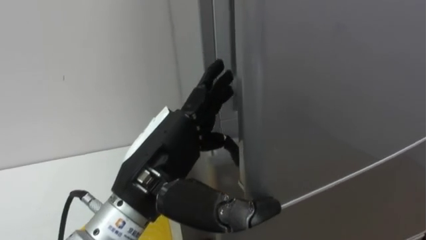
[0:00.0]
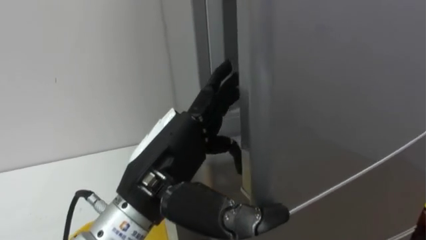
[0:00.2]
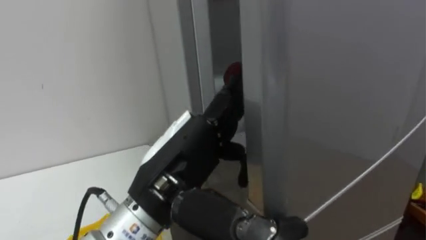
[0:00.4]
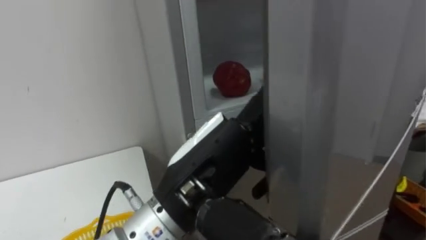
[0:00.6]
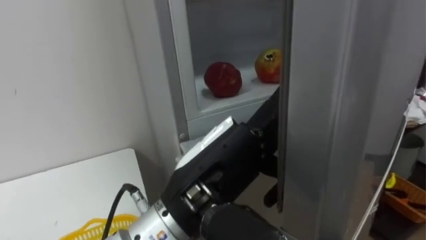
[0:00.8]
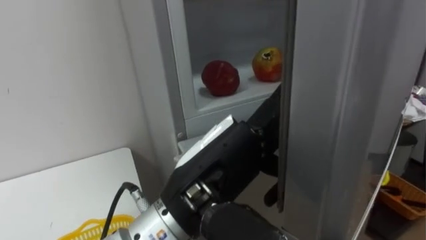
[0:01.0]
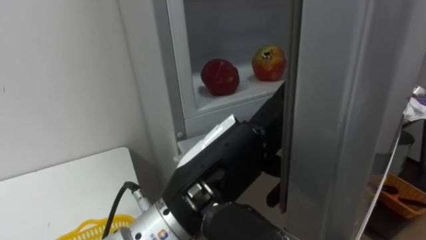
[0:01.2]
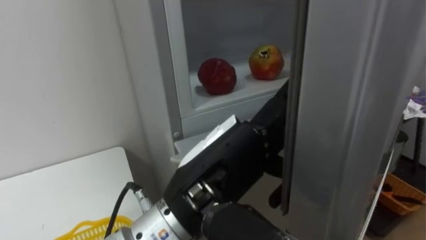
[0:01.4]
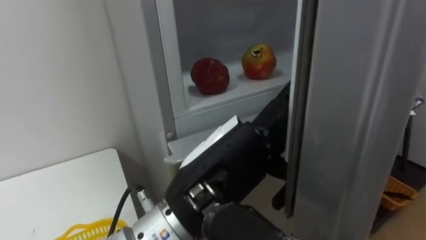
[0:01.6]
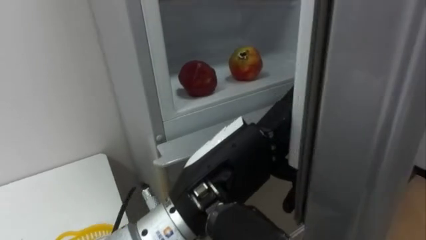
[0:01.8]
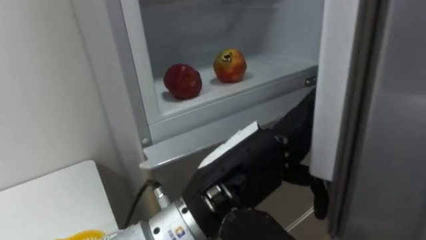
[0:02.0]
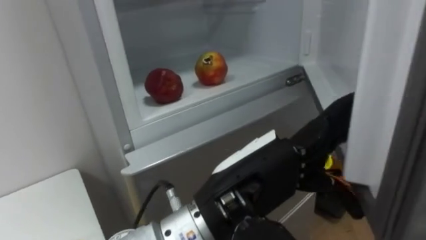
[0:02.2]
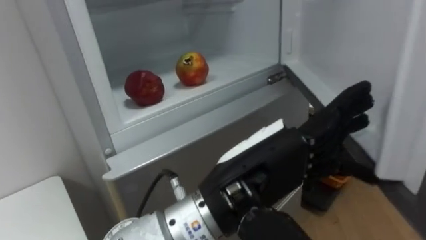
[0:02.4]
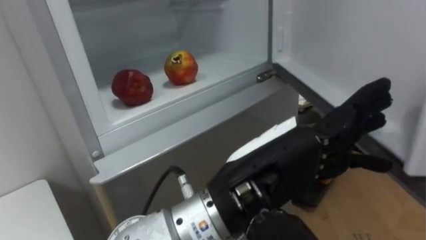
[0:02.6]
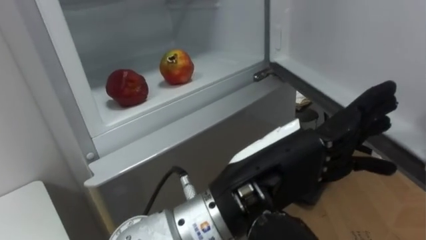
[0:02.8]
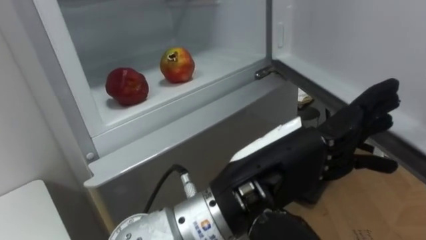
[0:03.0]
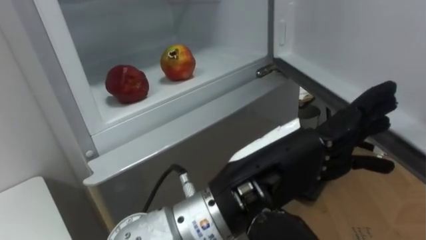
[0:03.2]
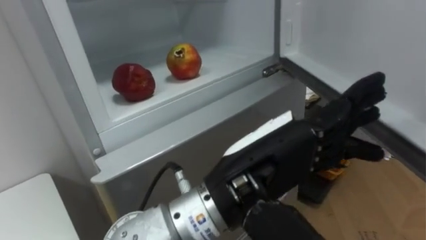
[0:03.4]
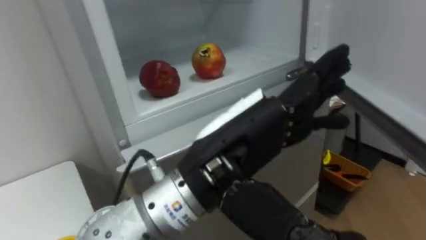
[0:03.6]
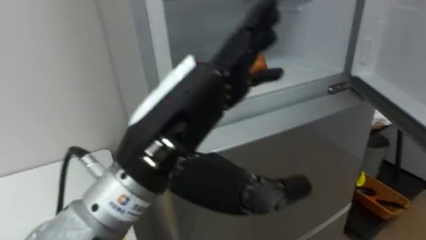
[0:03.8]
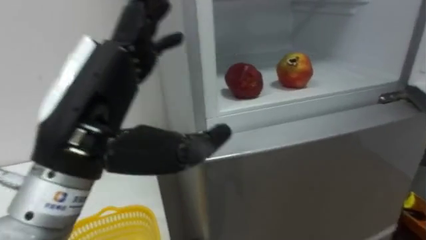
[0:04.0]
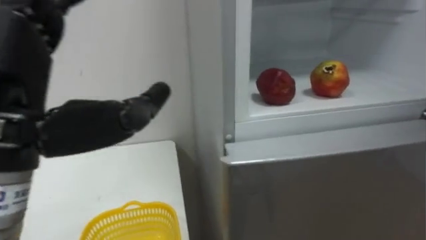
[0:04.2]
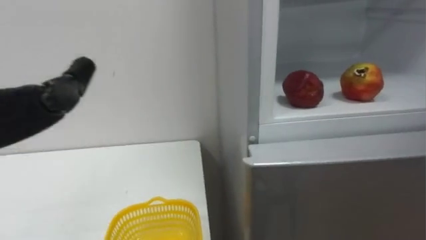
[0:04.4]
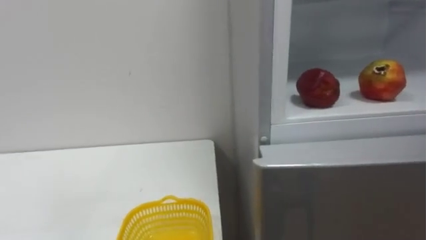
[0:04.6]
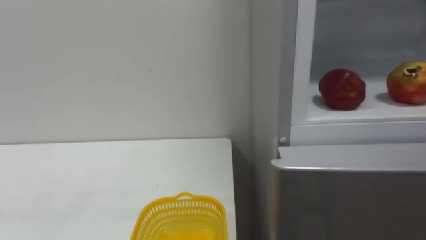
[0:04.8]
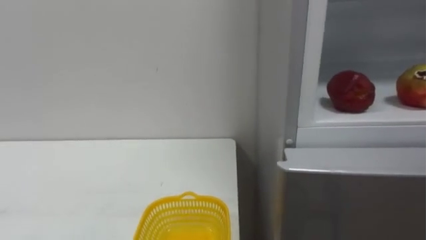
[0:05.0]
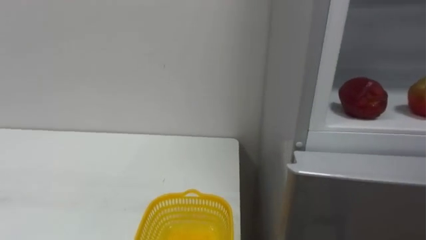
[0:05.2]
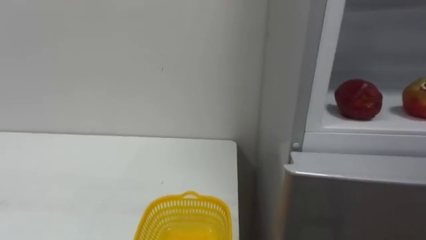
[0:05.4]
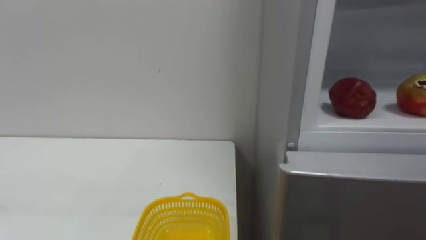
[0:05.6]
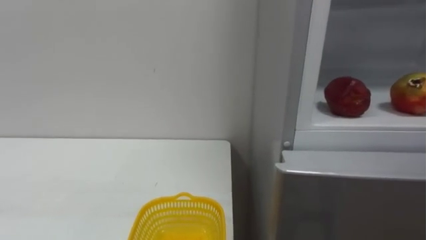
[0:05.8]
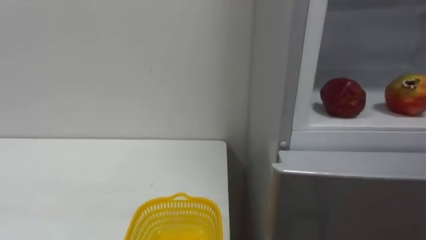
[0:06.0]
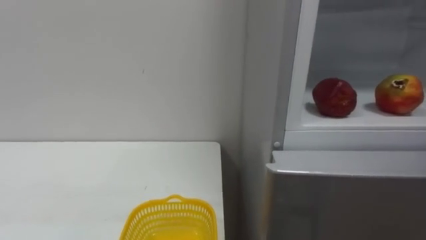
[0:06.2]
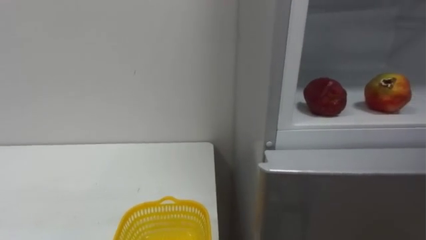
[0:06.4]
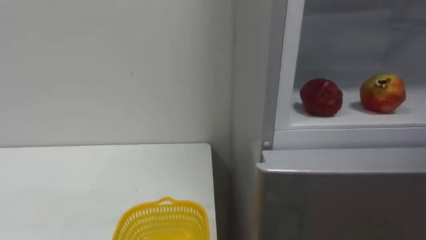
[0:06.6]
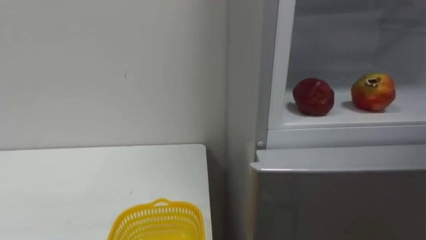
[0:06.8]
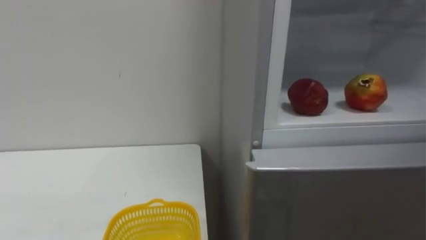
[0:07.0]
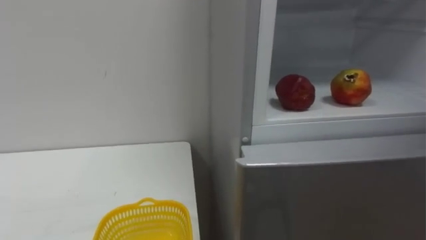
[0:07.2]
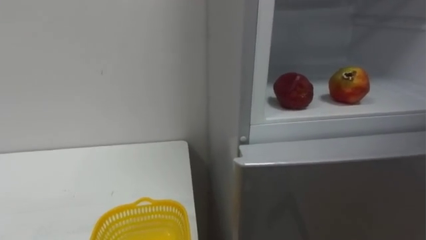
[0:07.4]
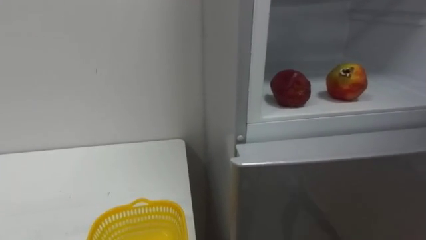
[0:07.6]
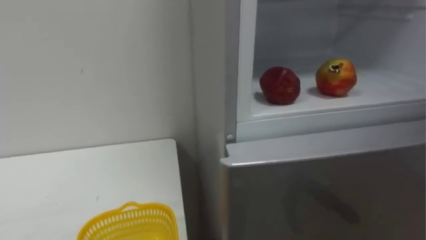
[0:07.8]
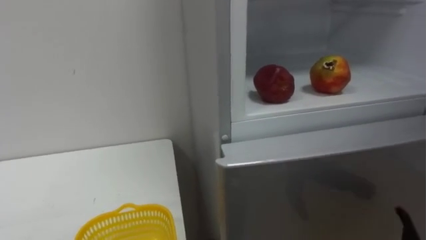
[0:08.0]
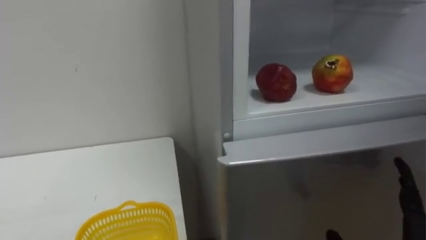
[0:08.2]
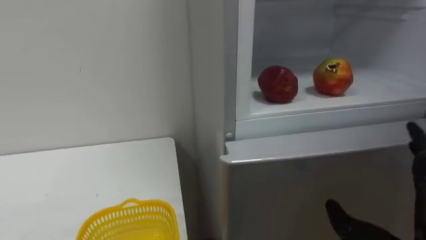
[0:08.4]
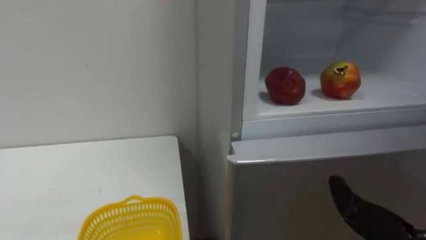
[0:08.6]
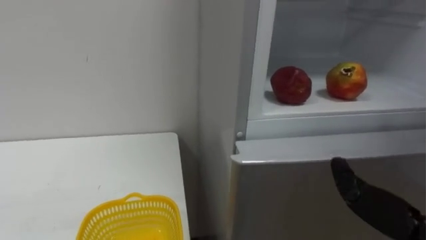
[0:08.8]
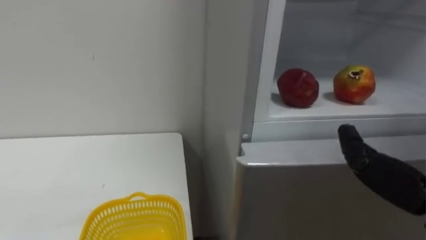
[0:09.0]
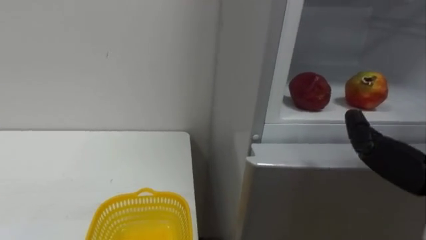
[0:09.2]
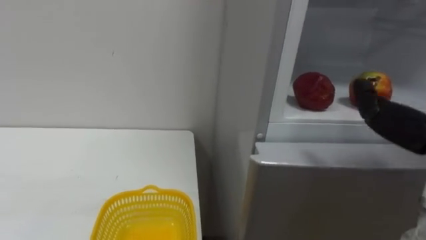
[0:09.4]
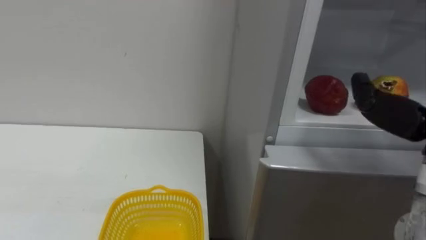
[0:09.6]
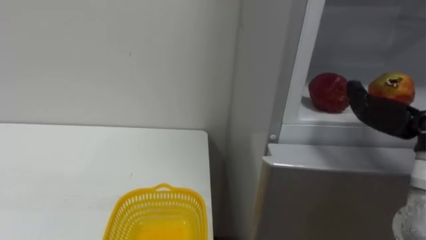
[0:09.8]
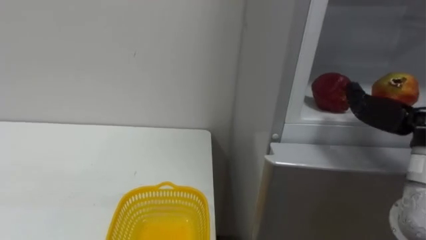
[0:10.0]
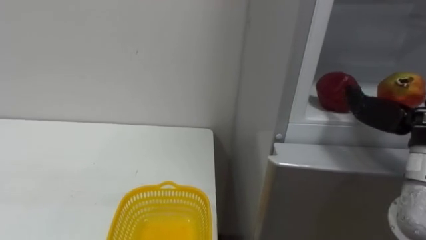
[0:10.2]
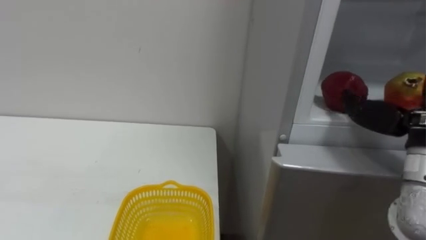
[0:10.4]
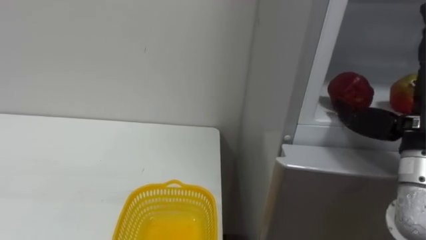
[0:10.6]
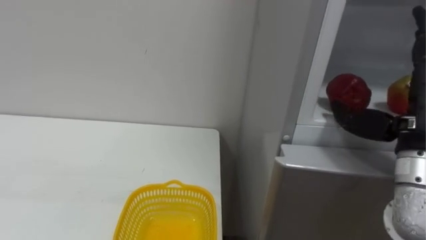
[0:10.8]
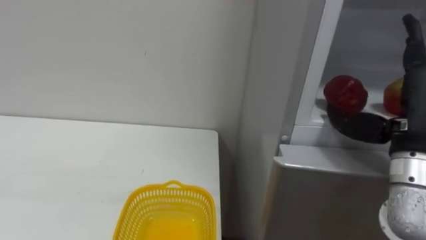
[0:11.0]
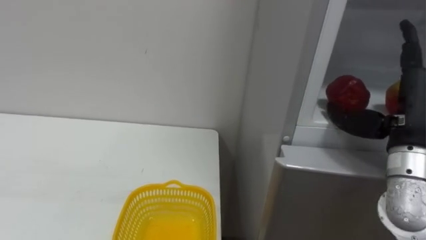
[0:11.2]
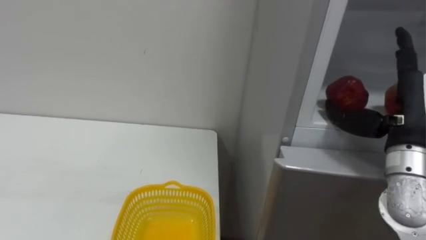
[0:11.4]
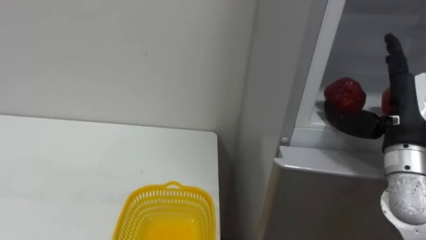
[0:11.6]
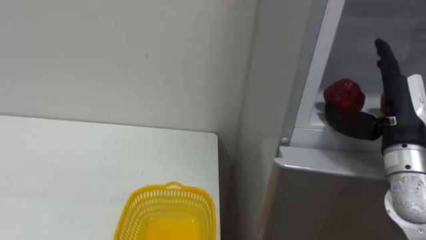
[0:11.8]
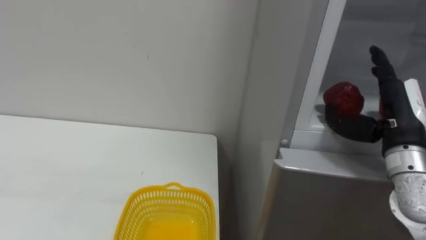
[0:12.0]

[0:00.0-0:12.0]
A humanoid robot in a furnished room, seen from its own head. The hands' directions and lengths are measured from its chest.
Task of the whole recording: Open the refrigerator door, take out the apple and the pomegranate, place them in the fruit basket on the left, and close the refrigerator door.
0:00.0 to 0:01.6: The left hand is displaced to the right by about 5 cm.

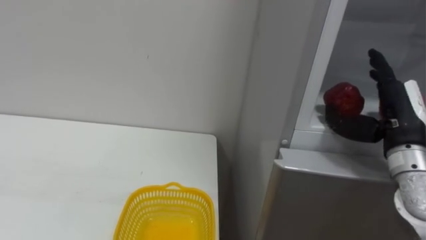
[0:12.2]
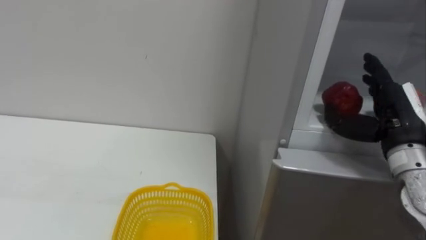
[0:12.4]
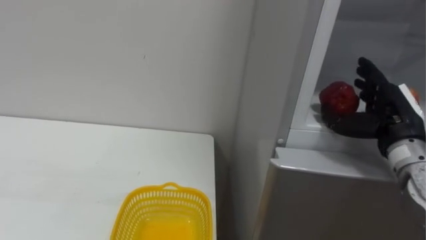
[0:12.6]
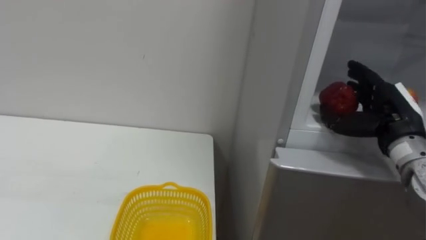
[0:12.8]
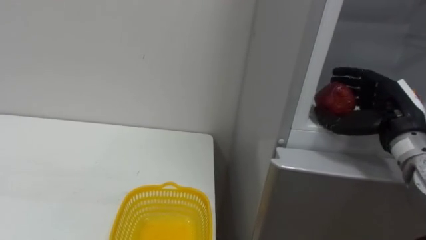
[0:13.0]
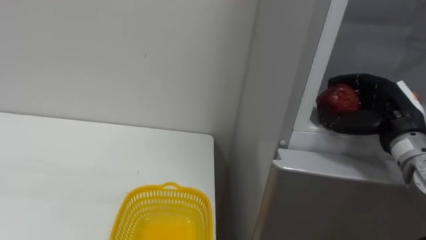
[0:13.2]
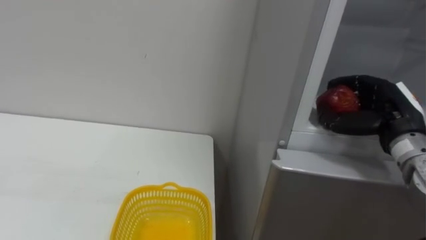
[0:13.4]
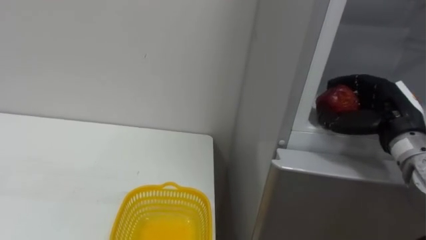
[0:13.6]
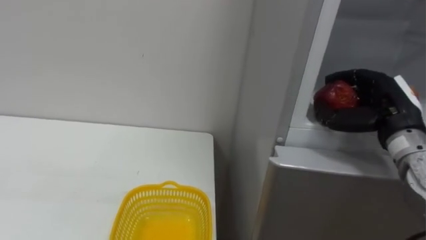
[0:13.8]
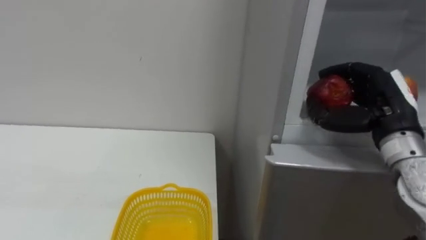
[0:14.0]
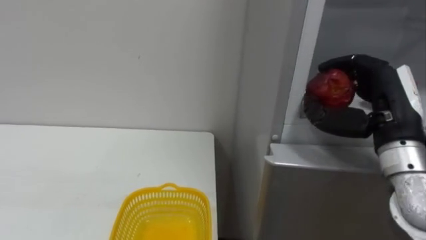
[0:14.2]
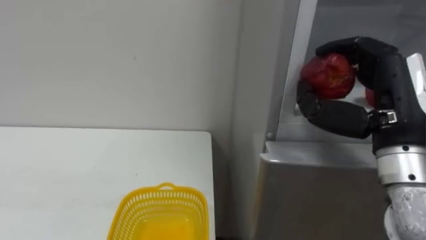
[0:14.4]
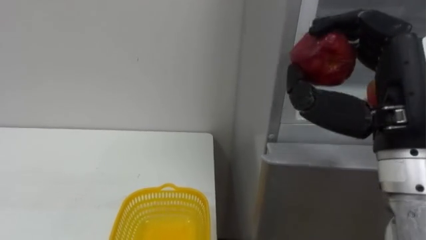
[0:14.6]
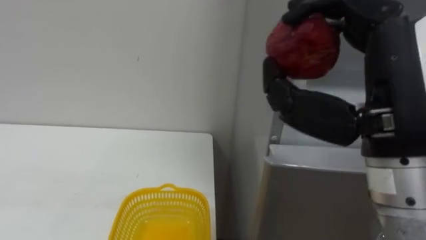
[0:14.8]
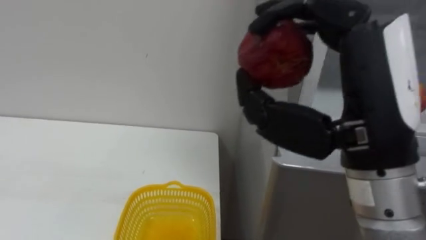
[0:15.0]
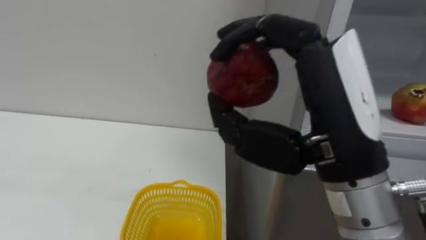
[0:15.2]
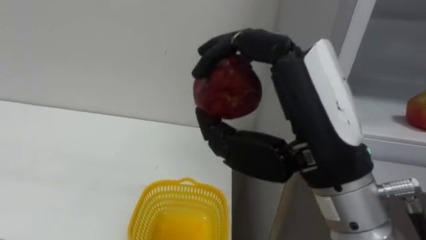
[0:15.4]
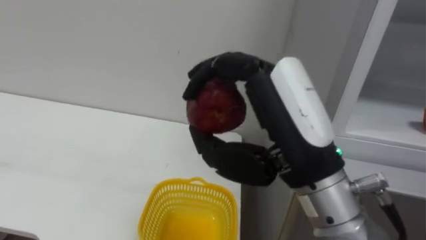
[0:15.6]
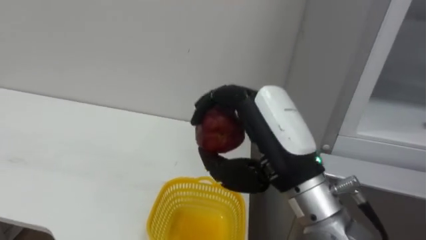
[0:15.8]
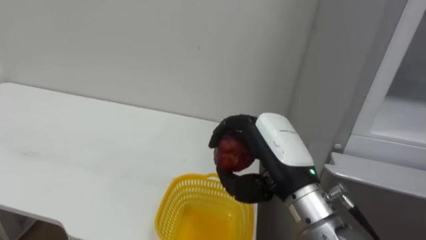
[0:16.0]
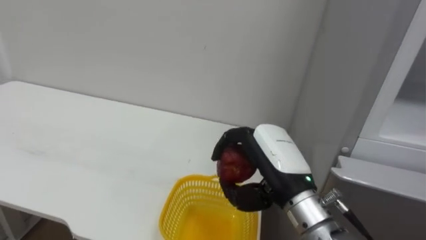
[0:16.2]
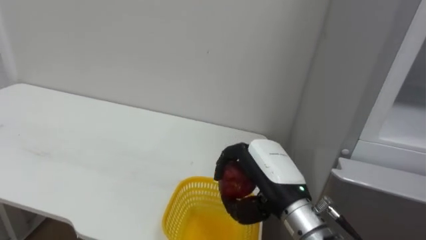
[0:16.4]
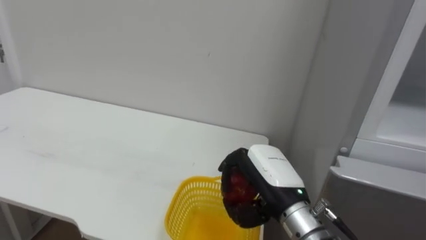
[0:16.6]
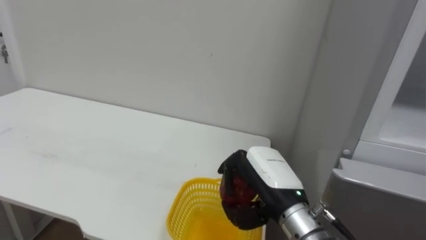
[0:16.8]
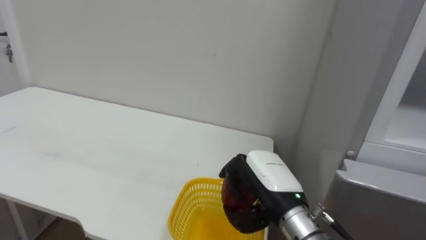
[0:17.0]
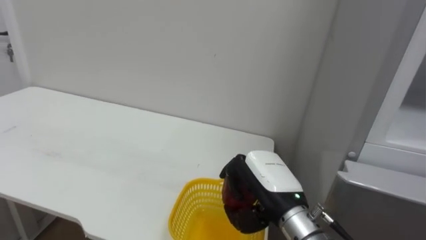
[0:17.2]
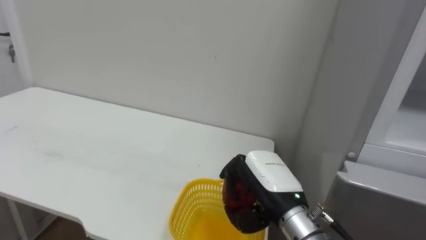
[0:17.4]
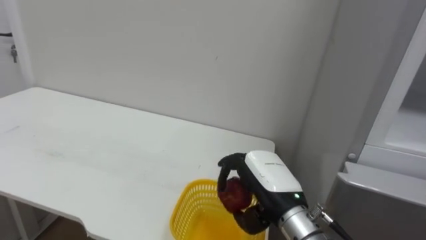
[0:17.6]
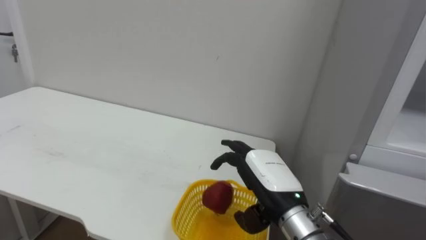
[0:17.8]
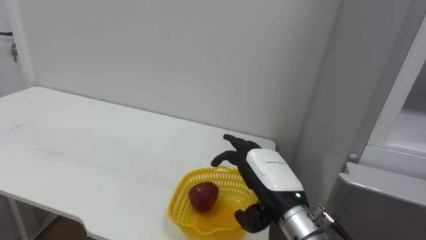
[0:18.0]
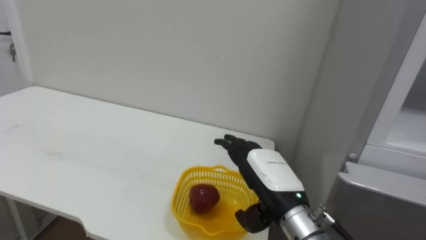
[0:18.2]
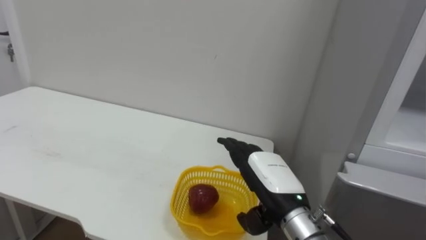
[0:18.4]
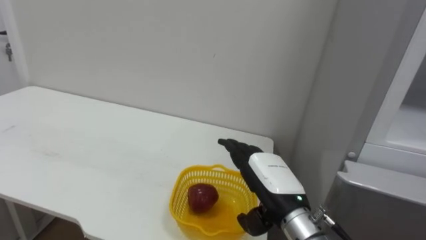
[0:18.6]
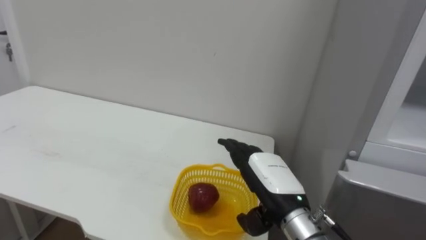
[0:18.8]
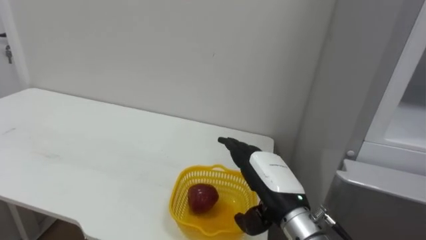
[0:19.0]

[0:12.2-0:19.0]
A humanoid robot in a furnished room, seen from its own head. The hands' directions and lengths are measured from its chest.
Task of the whole recording: Open the refrigerator door, take out the apple and the pomegranate, place them in the fruit basket on the left, and close the refrigerator door.
0:12.2 to 0:13.6: The right hand closes up.
0:13.6 to 0:15.0: The right hand travels backward, to the left and upward by roughly 25 cm.
0:15.0 to 0:16.2: The right hand shifts about 15 cm downward and forward.
0:16.2 to 0:17.6: The right hand goes about 5 cm downward.
0:17.6 to 0:19.0: The right hand opens up.
